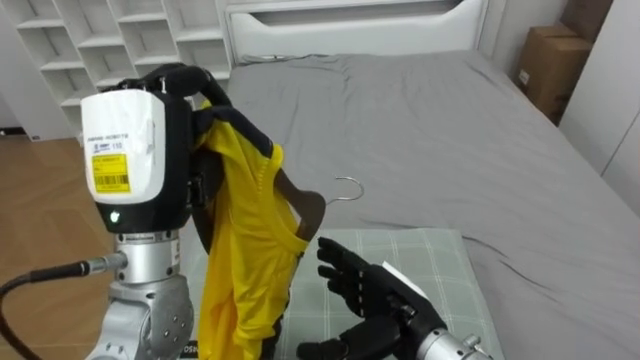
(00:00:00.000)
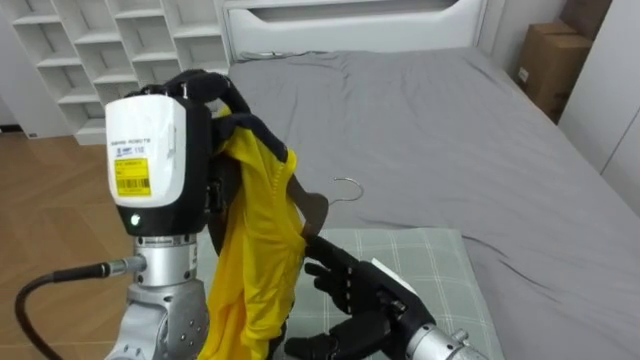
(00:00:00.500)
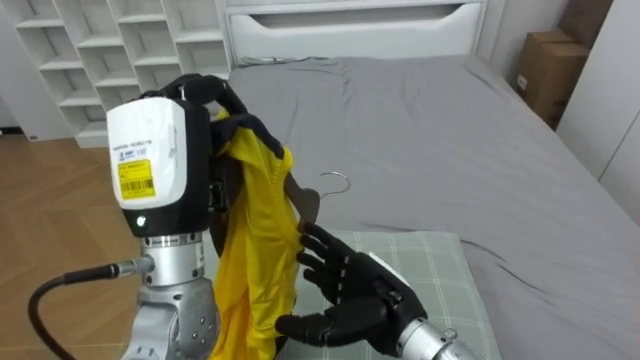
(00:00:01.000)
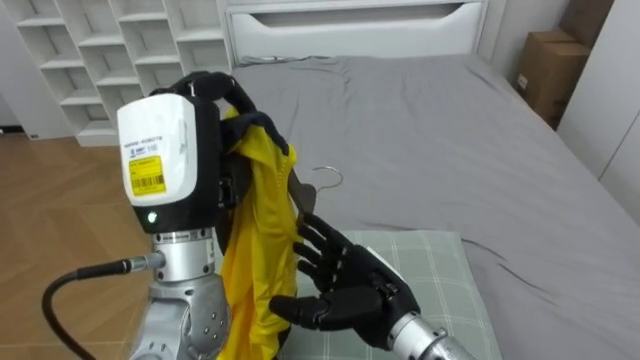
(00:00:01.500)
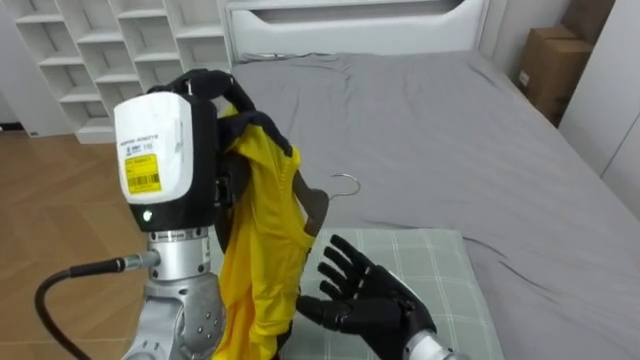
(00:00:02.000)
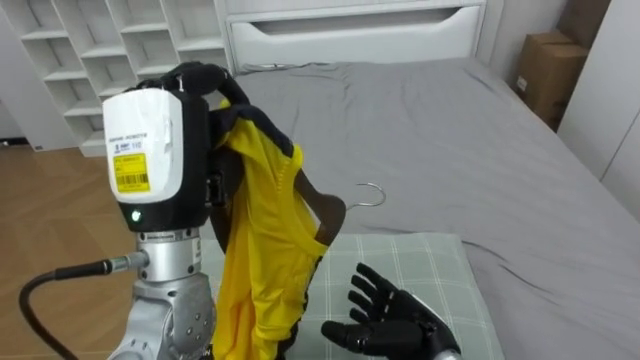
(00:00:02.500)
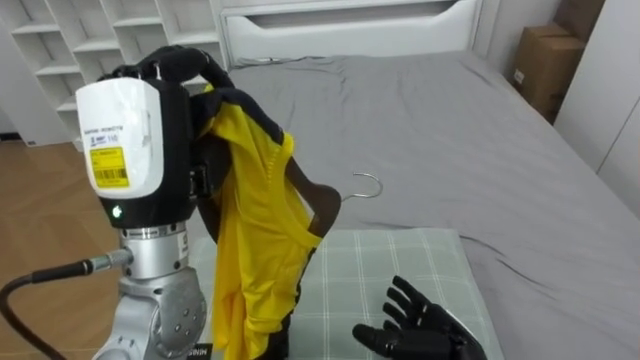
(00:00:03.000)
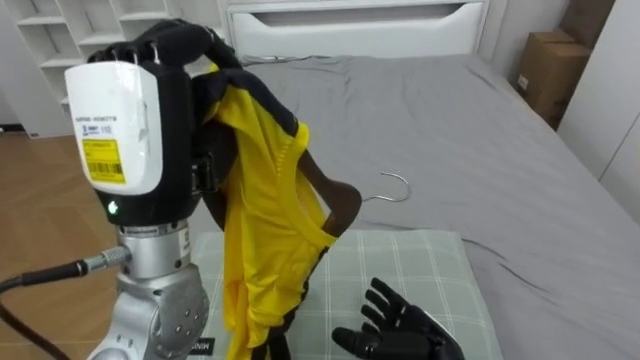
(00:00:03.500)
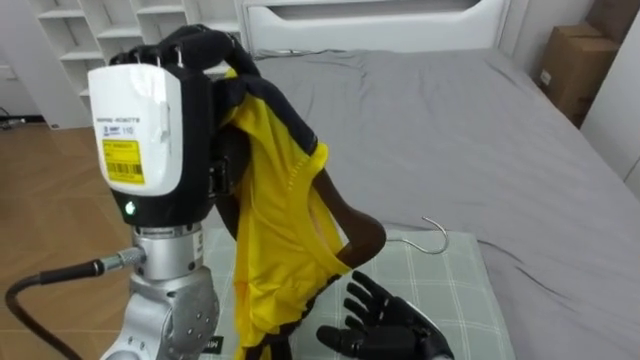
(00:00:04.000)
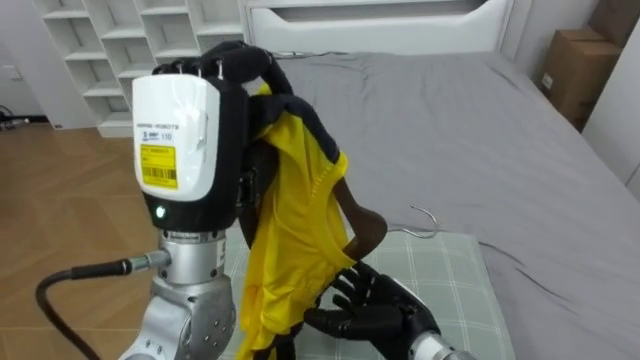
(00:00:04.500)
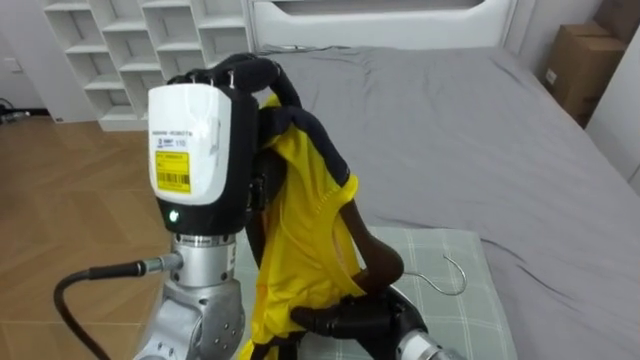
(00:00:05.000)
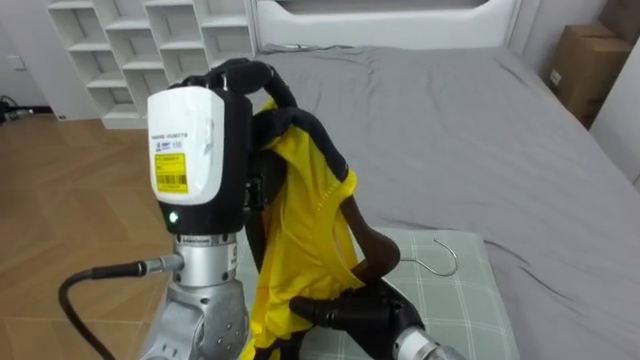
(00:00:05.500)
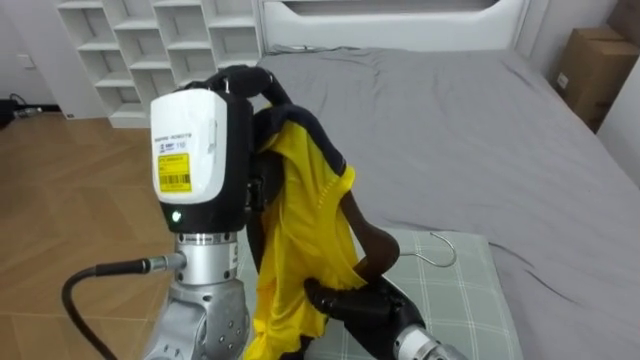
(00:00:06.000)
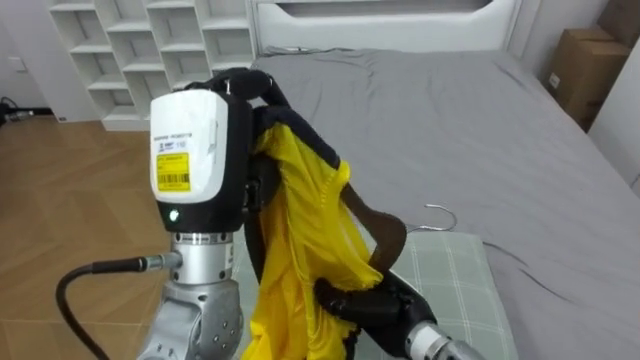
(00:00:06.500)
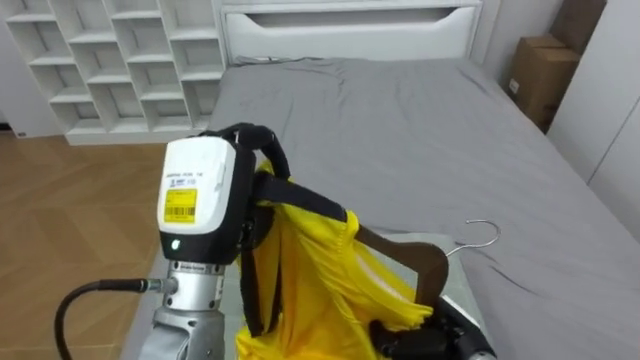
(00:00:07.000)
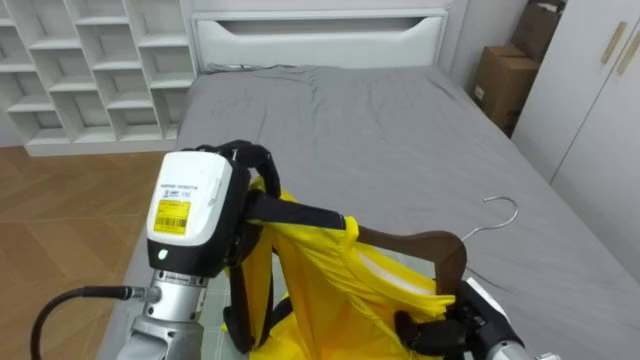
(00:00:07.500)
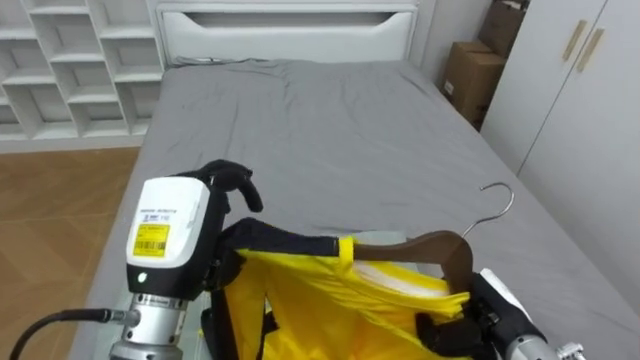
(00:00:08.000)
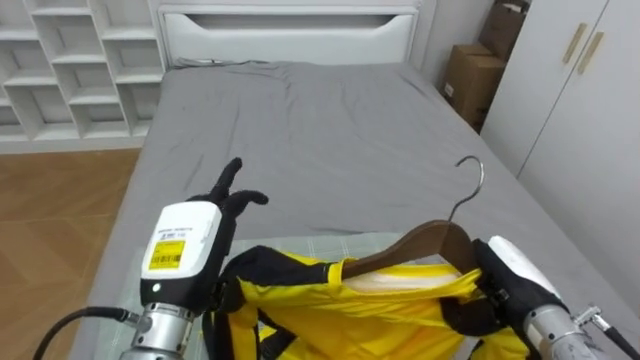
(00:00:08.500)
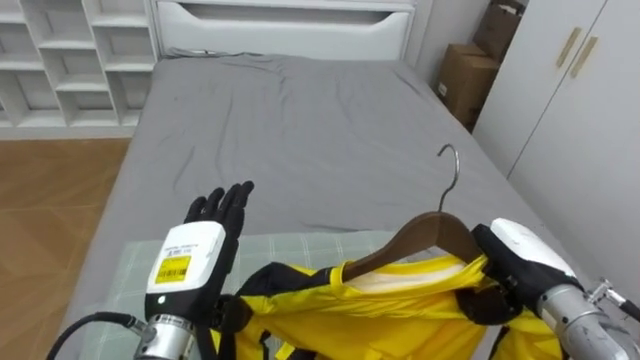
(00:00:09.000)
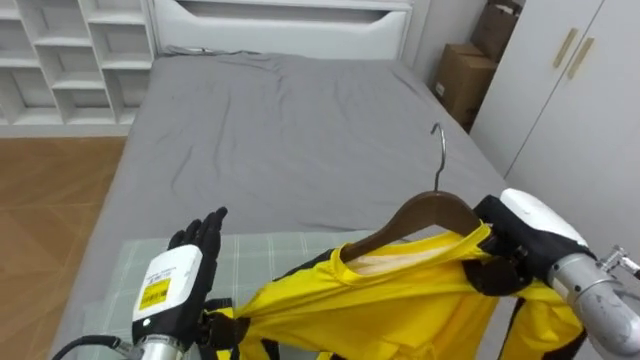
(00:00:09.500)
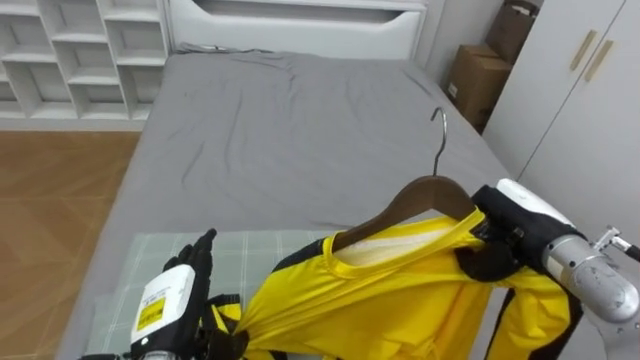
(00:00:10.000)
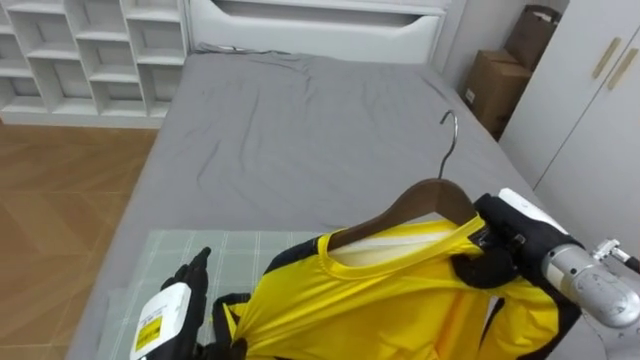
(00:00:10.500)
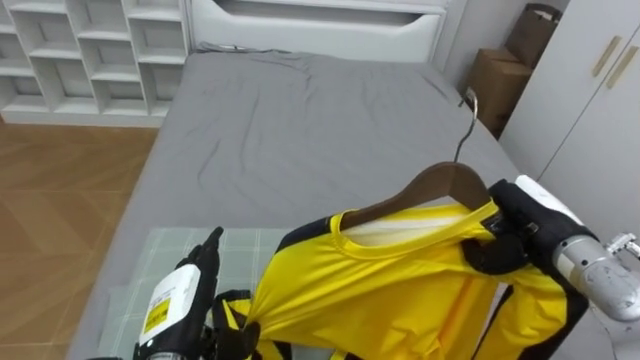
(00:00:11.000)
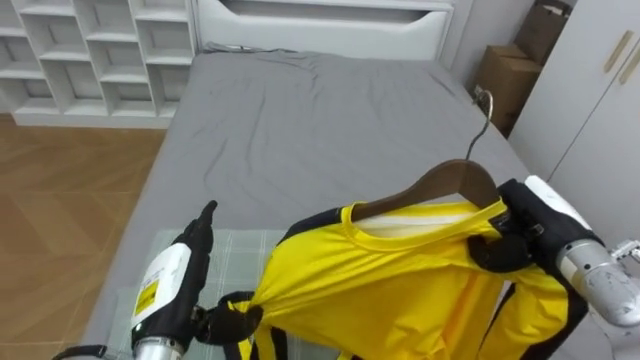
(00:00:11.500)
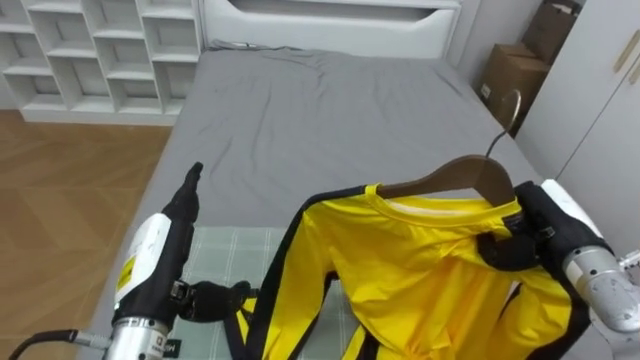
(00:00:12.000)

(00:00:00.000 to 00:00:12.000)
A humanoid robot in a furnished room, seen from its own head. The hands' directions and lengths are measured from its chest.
Task of the whole recording: Pick up the yellow shirt on the bed and hang it on the clothes rack on the right.
00:00:02.000 - 00:00:04.000: The right hand goes roughly 5 cm downward.
00:00:04.000 - 00:00:06.000: The right hand changes place by some 5 cm, and closes its fingers.
00:00:06.000 - 00:00:08.000: The left hand goes roughly 10 cm downward, while the right hand is displaced to the right by approximately 15 cm, and closes.
00:00:08.000 - 00:00:10.000: The right hand is displaced upward and forward by some 10 cm. Meanwhile the left hand heads downward, covering about 15 cm, and opens up.
00:00:10.000 - 00:00:12.000: The left hand shifts roughly 10 cm upward.

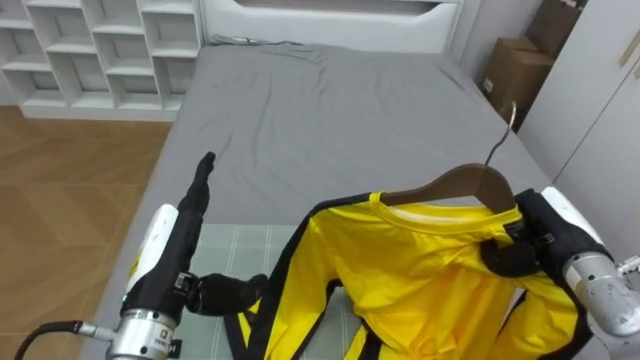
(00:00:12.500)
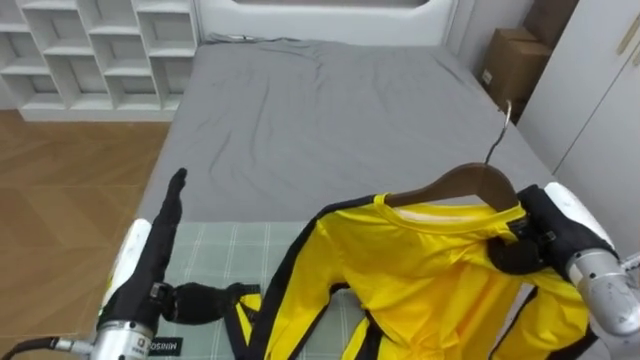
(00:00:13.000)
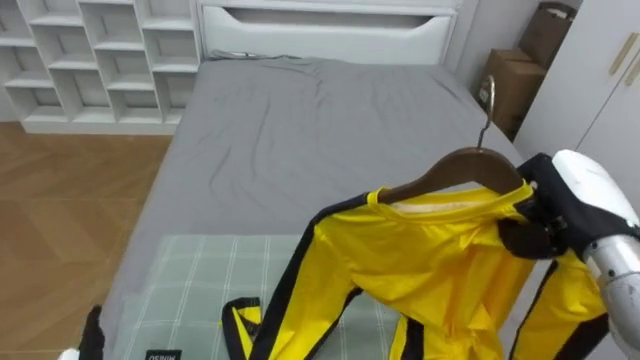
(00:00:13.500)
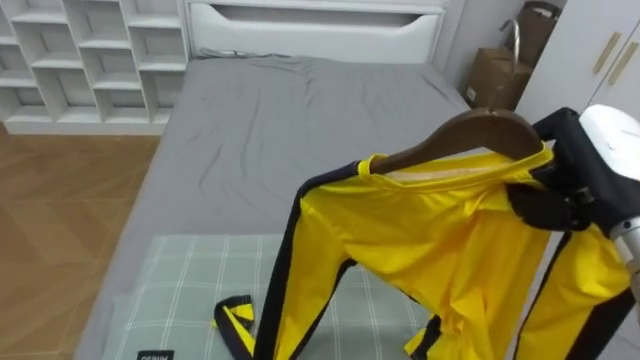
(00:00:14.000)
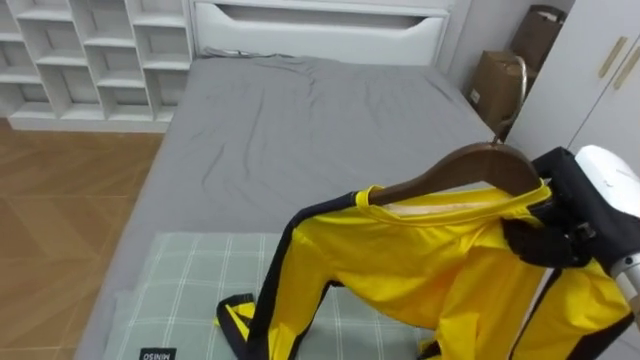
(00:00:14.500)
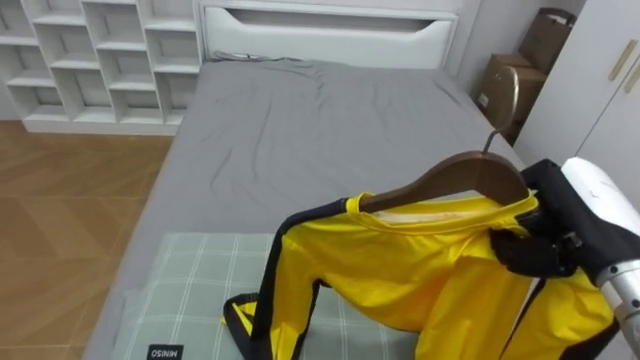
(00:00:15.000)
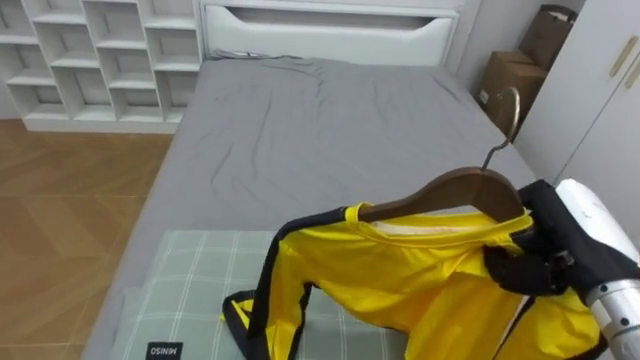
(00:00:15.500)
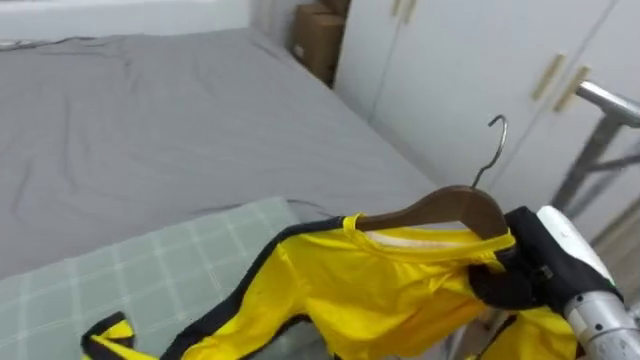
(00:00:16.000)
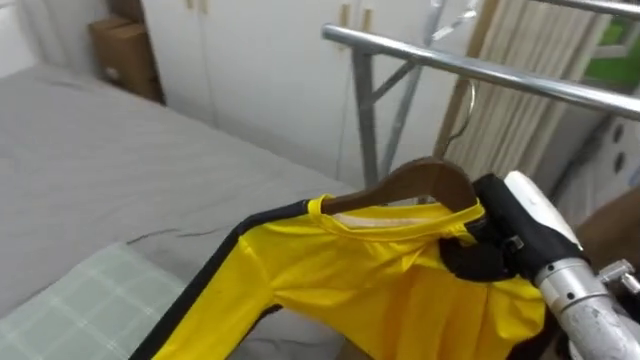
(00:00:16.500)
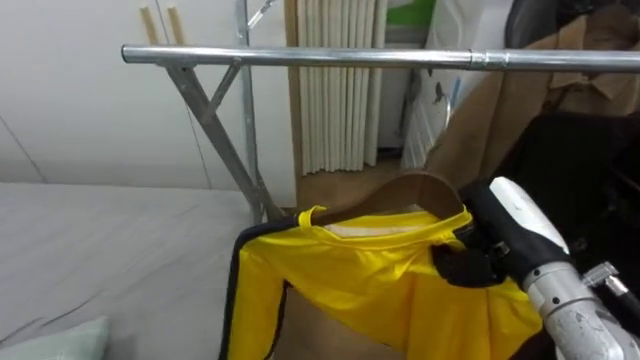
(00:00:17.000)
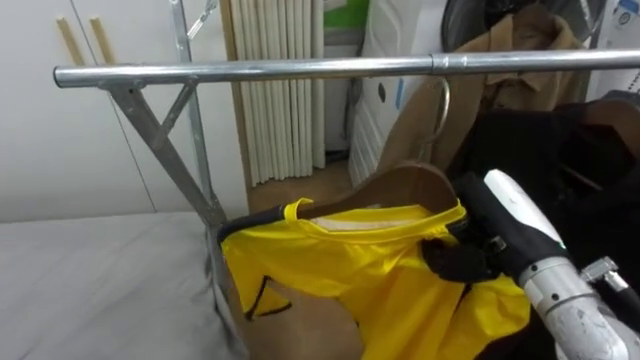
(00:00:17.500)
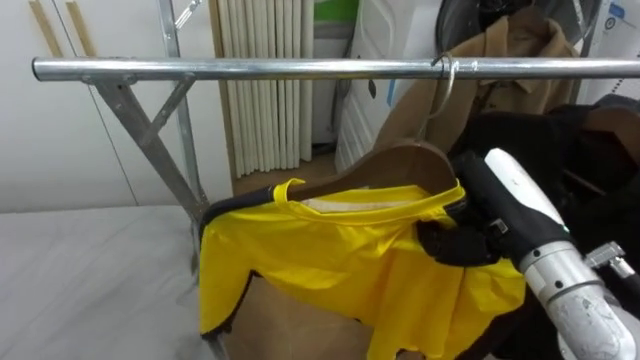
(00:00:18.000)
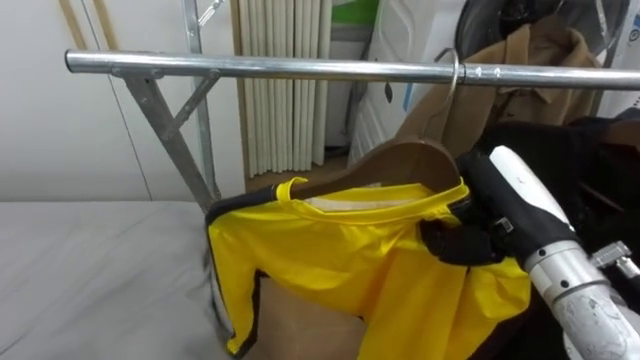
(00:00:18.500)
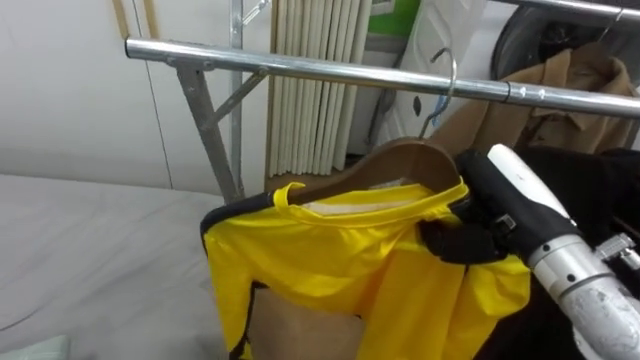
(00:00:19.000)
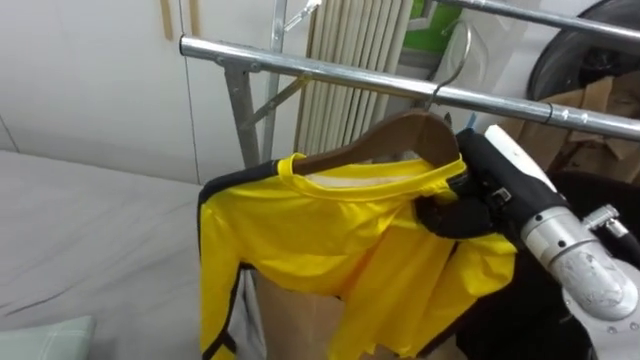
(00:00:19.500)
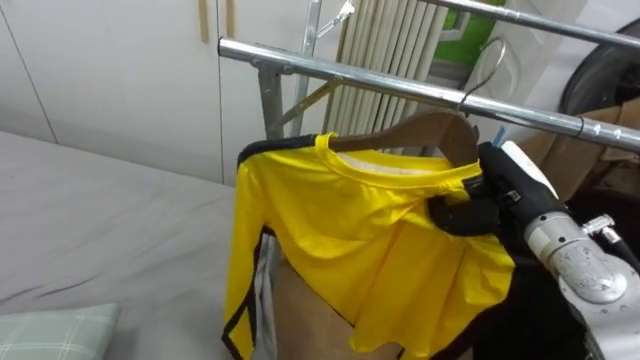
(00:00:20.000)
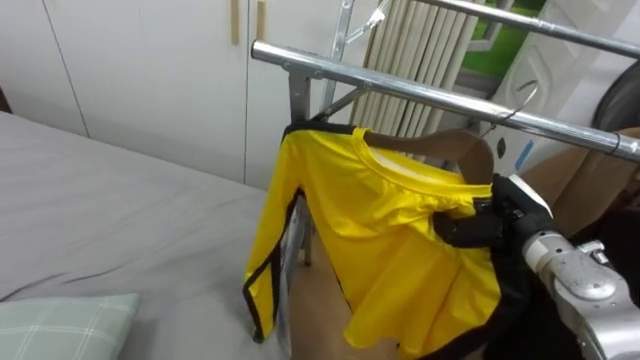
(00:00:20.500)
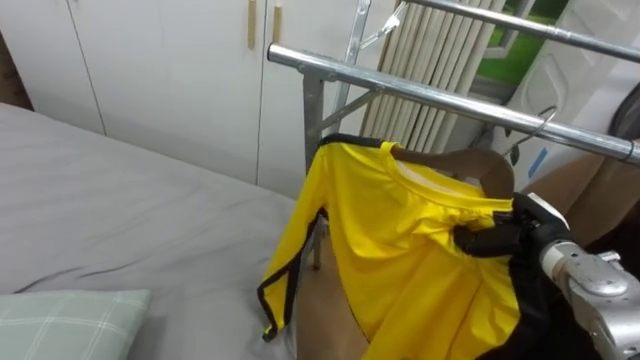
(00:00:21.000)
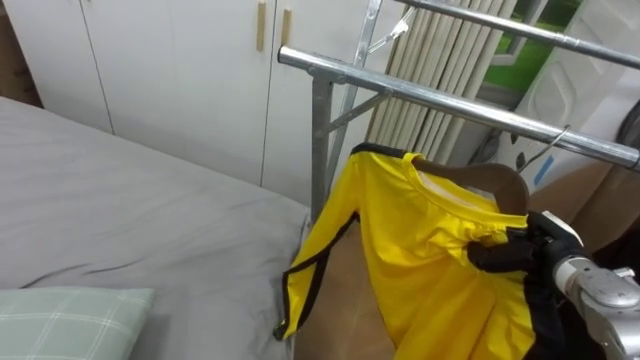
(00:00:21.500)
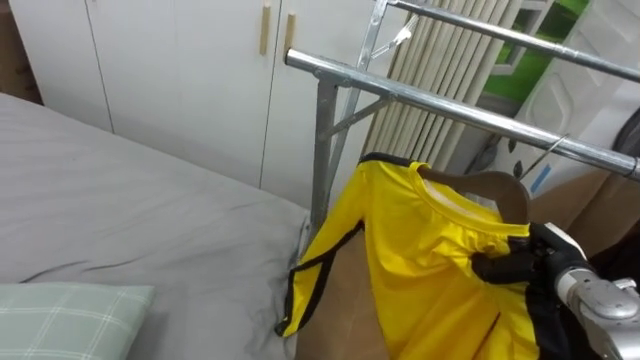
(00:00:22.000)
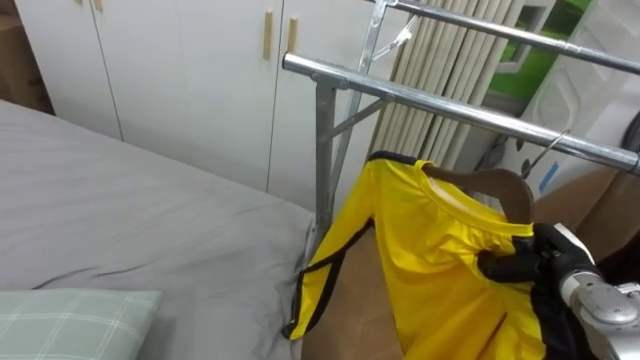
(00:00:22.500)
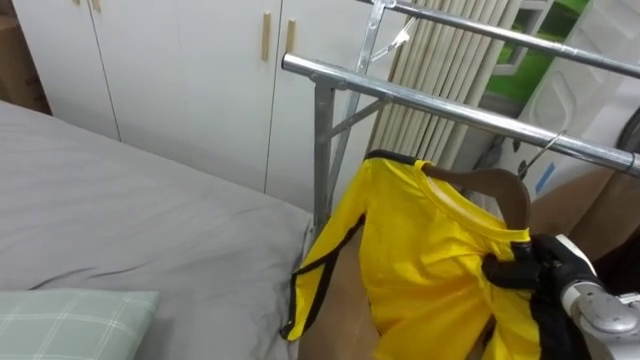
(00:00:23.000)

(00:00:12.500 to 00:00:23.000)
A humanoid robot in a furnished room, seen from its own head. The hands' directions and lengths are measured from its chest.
Task of the whole recording: Pick up the yellow shirt on the bed and hang it on the clothes rack on the right.
00:00:12.500 - 00:00:14.500: The right hand travels upward and backward by about 10 cm.
00:00:14.500 - 00:00:16.500: The robot's body swings some 55 degrees to its right. The right hand moves roughly 5 cm.
00:00:16.500 - 00:00:19.000: The robot rotates roughly 40 degrees to its right.
00:00:19.000 - 00:00:21.000: The right hand shifts some 15 cm downward, to the right and forward.
00:00:21.000 - 00:00:23.000: The right hand moves approximately 5 cm.
